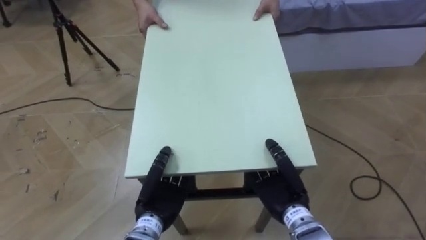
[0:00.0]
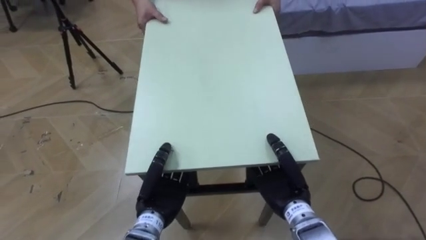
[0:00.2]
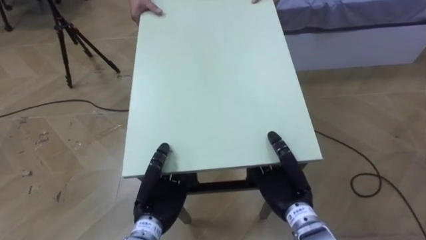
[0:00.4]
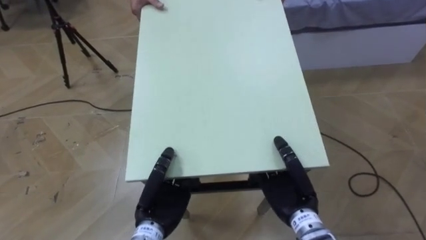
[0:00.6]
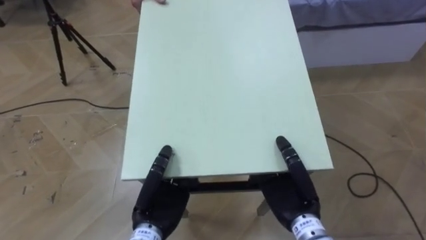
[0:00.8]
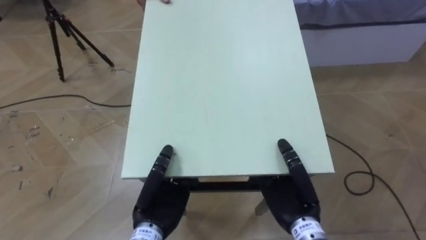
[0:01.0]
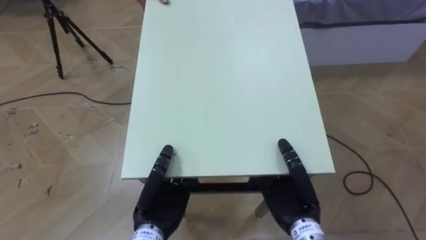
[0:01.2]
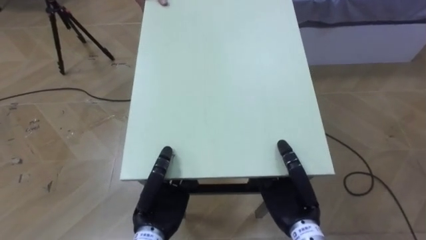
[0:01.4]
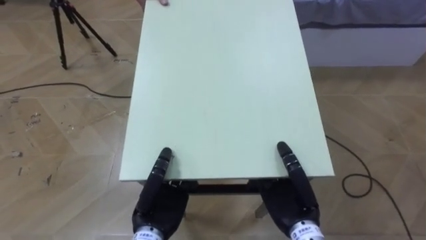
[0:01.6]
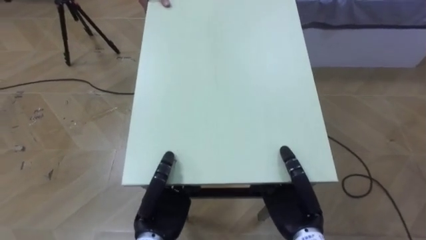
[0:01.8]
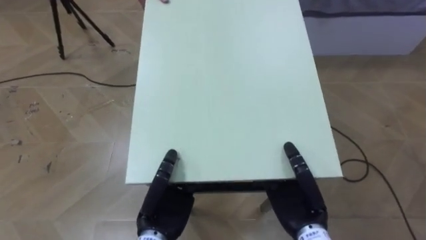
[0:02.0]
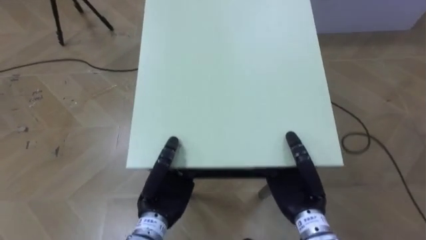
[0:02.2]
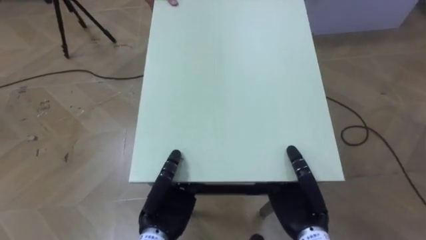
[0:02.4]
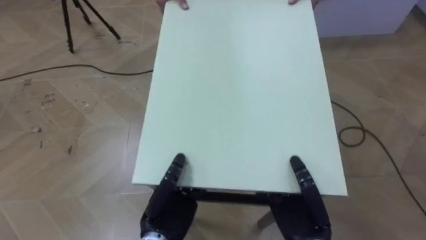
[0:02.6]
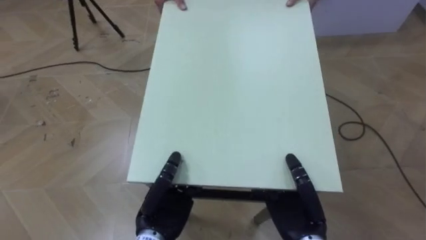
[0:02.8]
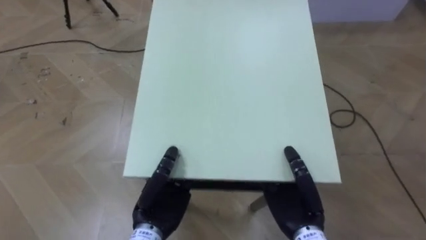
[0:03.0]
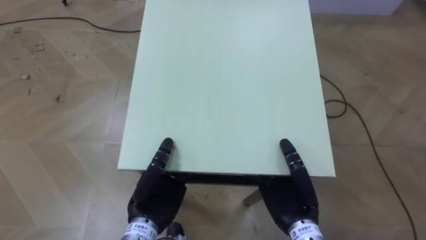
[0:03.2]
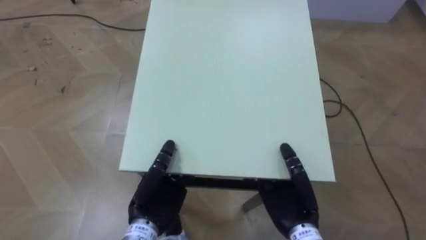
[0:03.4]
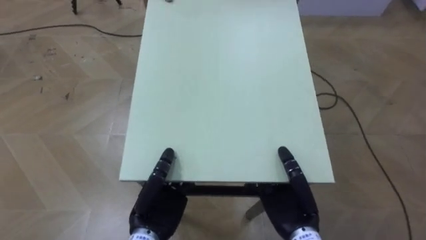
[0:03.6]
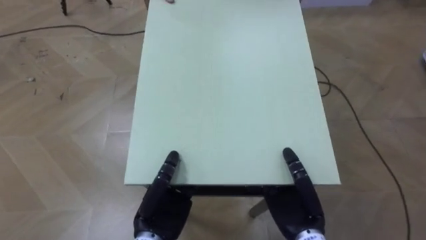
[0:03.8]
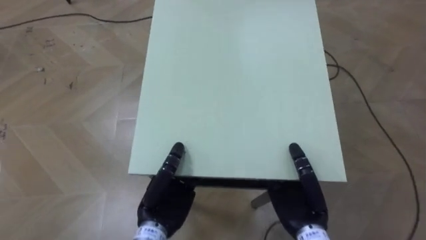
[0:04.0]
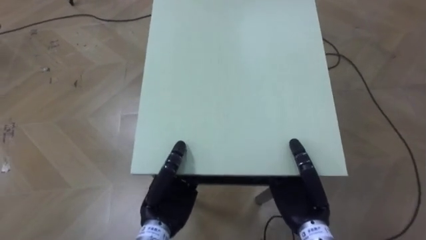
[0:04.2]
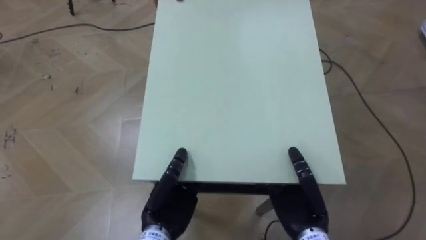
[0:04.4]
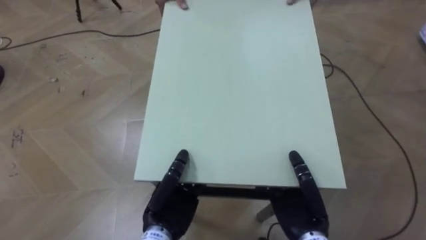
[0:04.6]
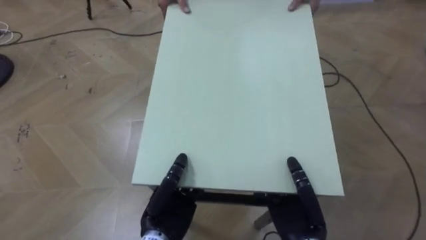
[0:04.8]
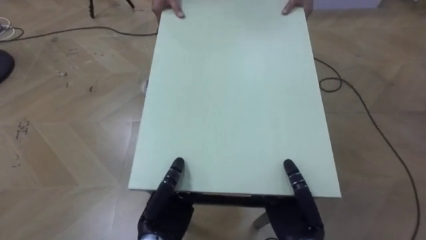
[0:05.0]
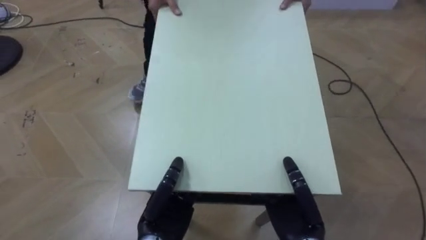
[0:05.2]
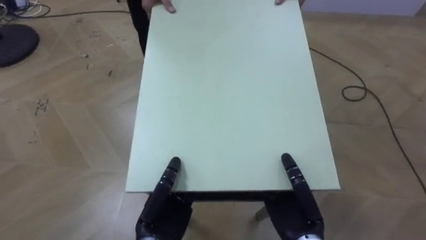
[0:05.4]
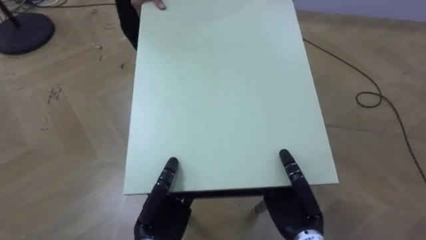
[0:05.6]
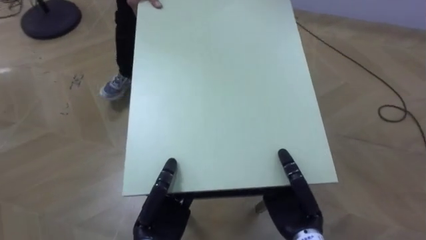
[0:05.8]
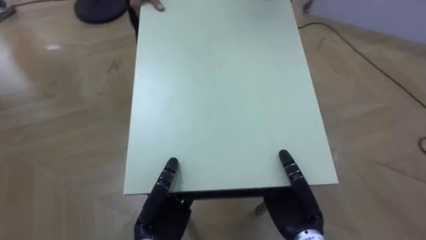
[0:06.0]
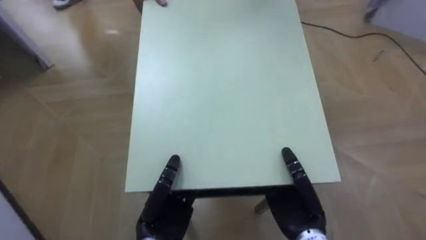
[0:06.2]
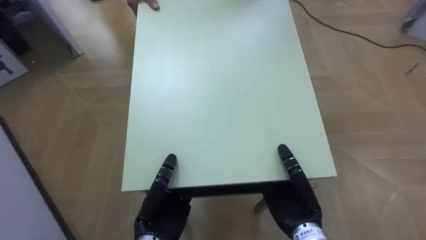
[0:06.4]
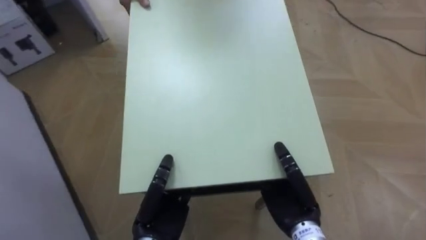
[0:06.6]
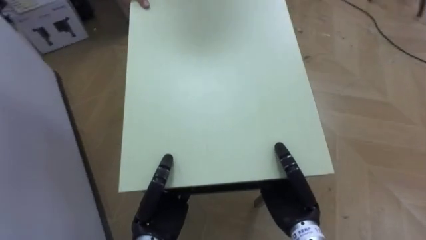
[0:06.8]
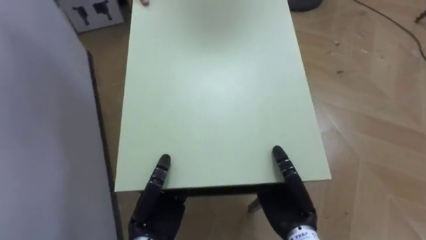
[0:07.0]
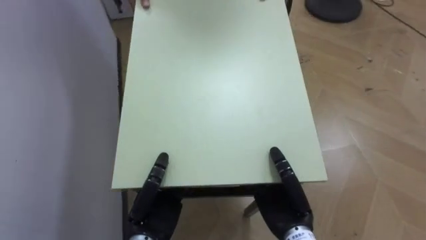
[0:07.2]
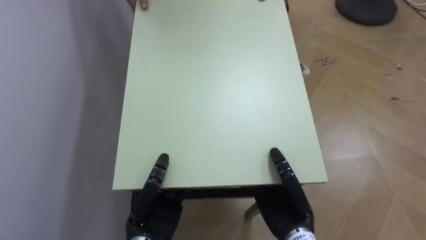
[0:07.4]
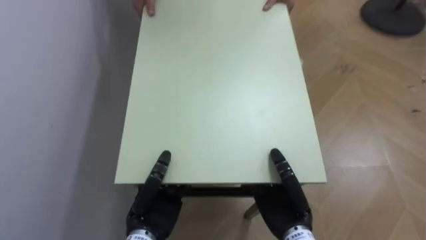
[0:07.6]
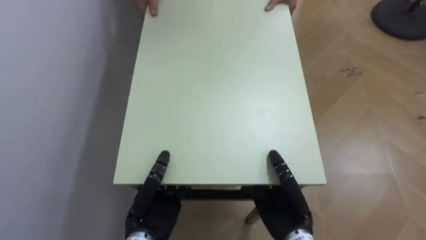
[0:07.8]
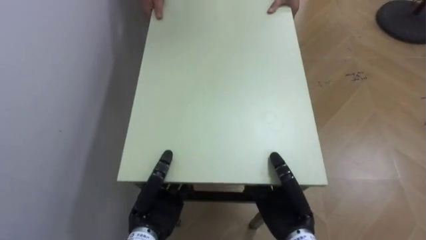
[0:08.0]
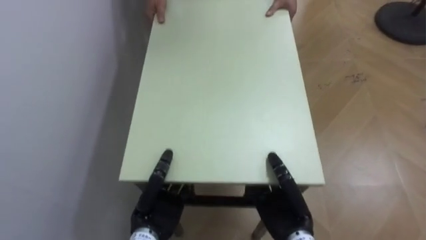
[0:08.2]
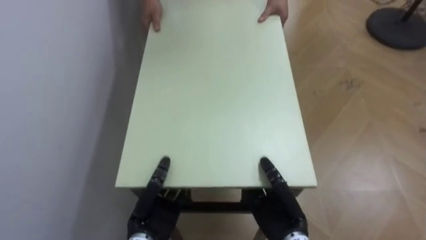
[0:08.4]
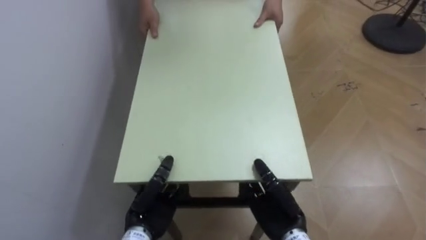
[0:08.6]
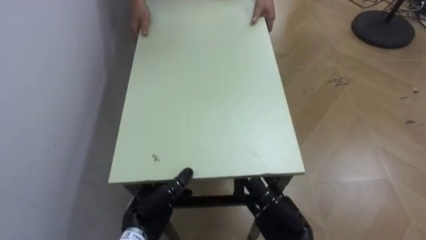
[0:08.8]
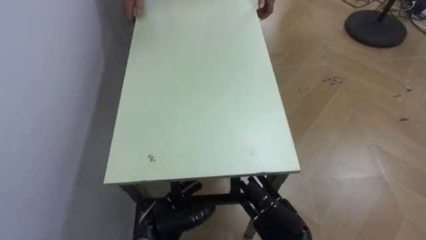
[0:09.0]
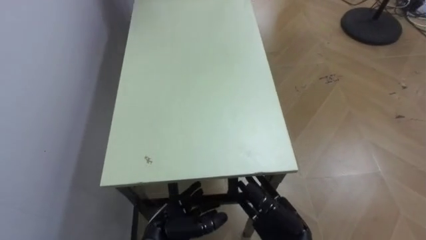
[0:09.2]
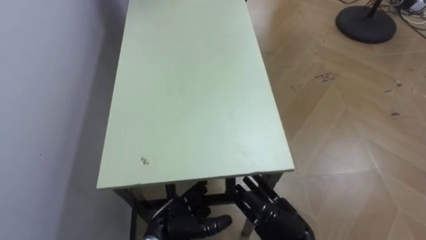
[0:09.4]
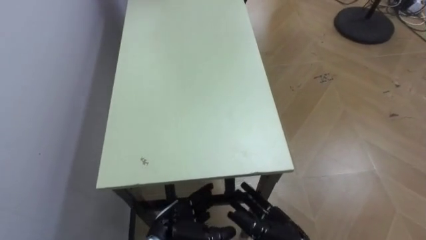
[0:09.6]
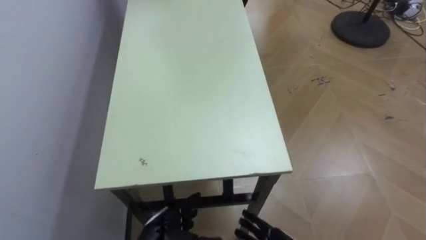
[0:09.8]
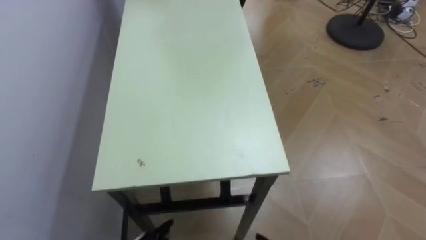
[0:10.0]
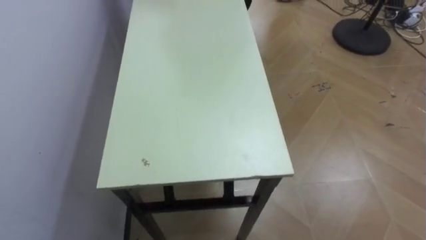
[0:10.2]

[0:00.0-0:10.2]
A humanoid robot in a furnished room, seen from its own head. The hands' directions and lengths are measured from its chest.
Task of the whole recording: Move the table to the back left with someone.
0:05.8 to 0:07.2: The robot's body swings about 65 degrees to its left.
0:07.2 to 0:08.8: The right hand changes place by roughly 5 cm, and opens.

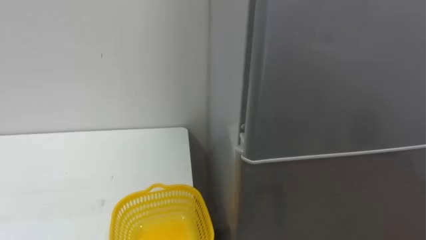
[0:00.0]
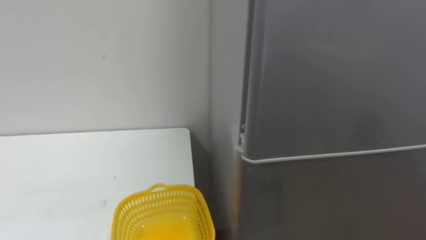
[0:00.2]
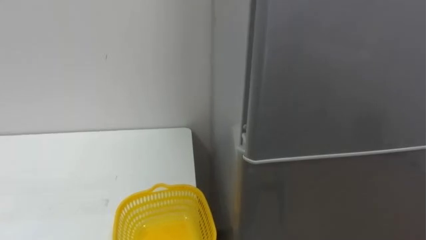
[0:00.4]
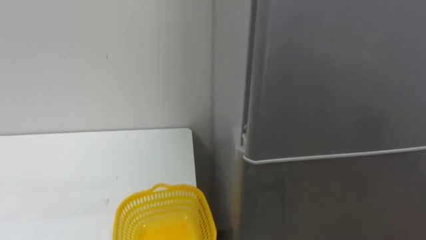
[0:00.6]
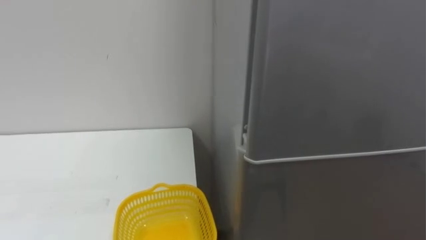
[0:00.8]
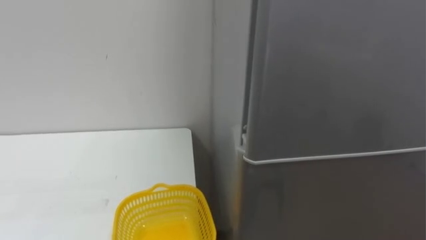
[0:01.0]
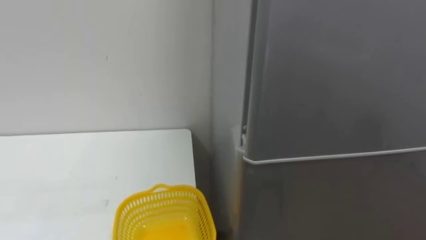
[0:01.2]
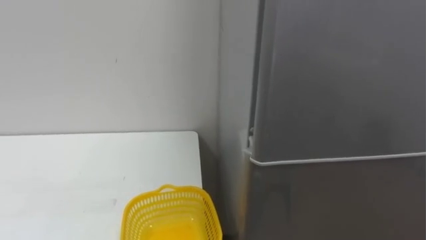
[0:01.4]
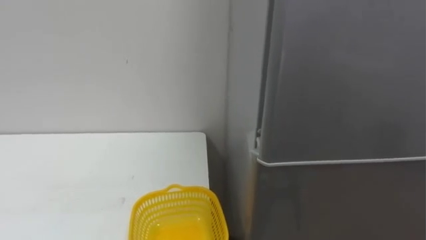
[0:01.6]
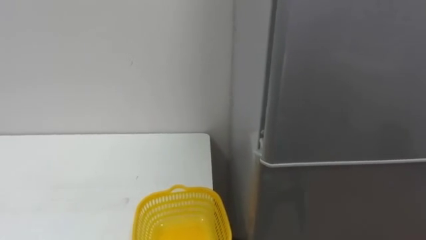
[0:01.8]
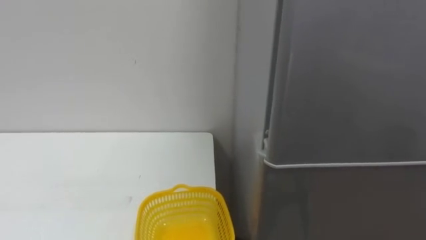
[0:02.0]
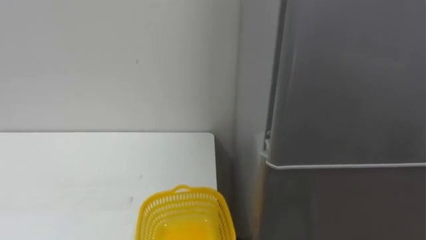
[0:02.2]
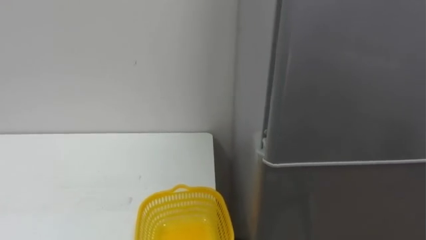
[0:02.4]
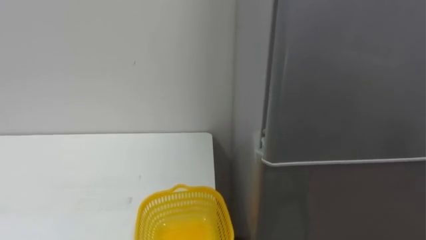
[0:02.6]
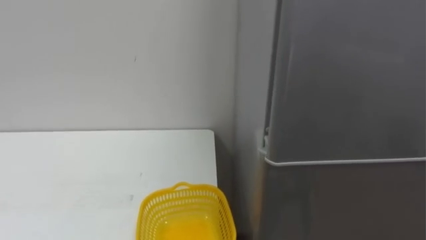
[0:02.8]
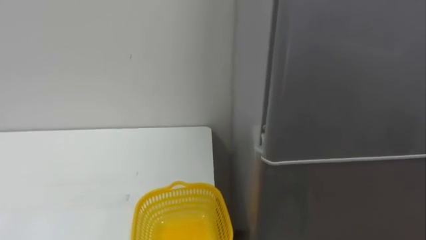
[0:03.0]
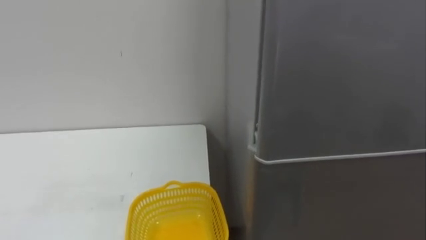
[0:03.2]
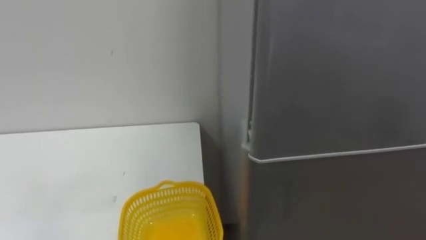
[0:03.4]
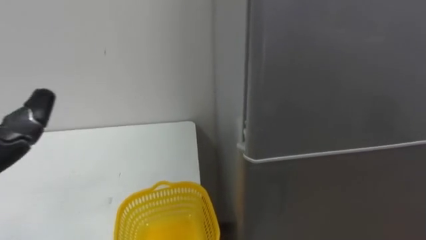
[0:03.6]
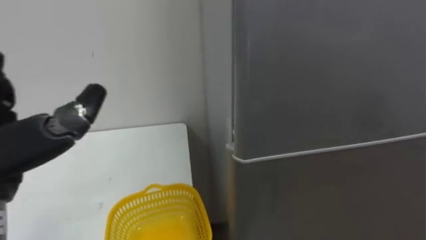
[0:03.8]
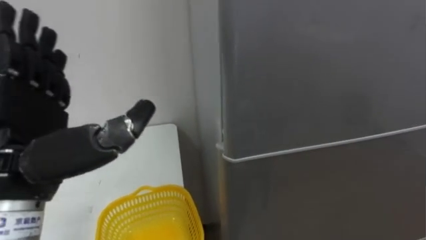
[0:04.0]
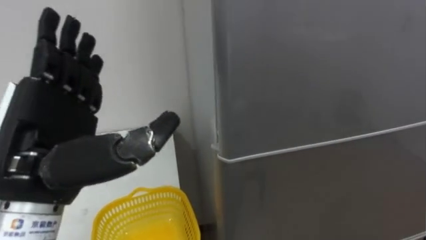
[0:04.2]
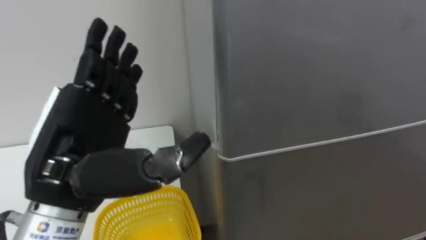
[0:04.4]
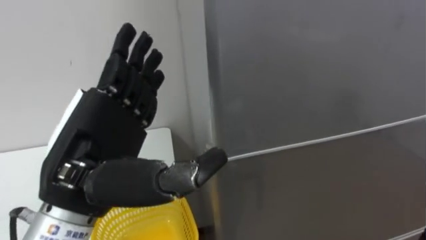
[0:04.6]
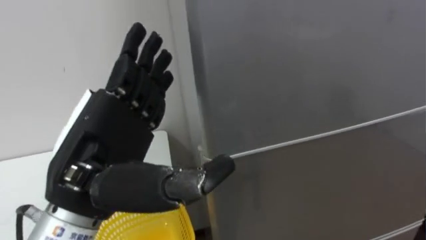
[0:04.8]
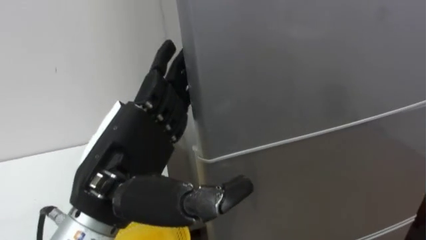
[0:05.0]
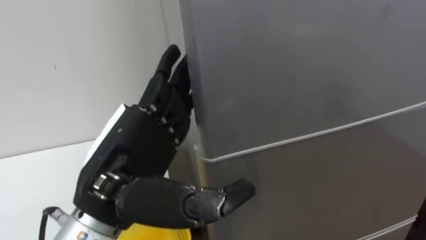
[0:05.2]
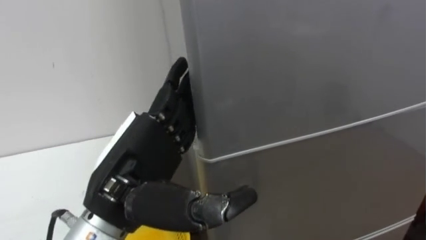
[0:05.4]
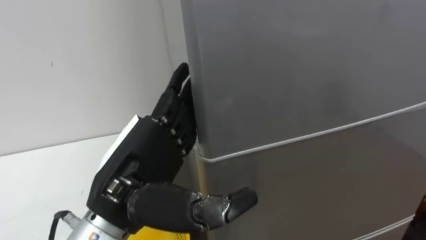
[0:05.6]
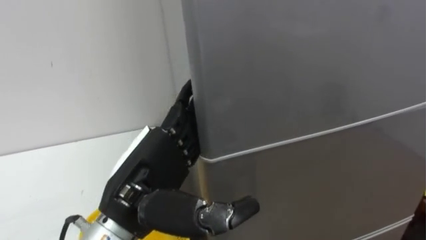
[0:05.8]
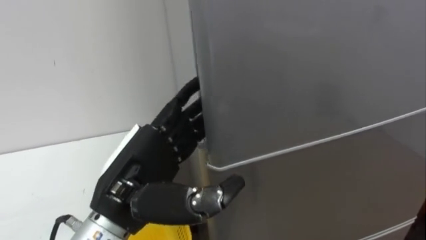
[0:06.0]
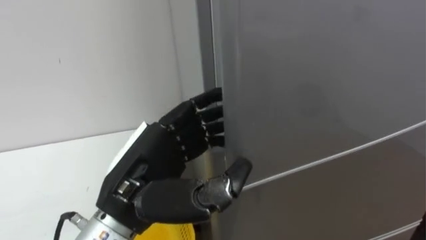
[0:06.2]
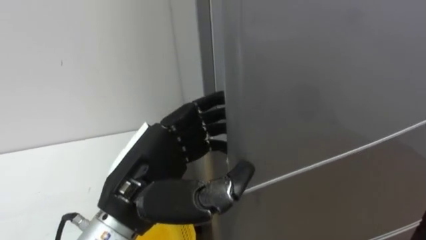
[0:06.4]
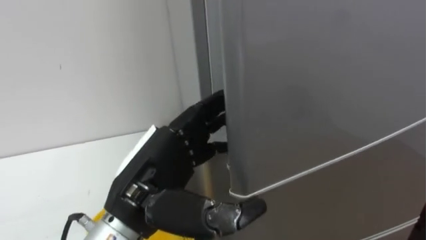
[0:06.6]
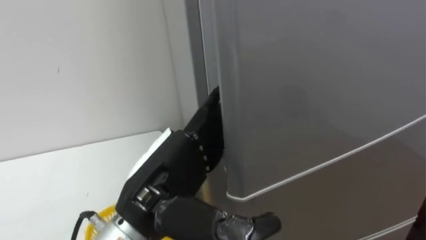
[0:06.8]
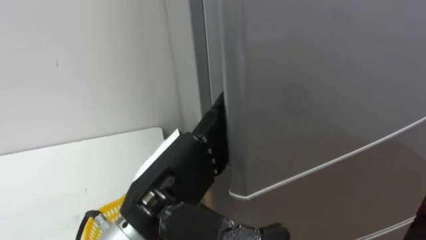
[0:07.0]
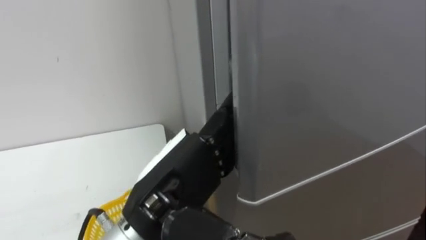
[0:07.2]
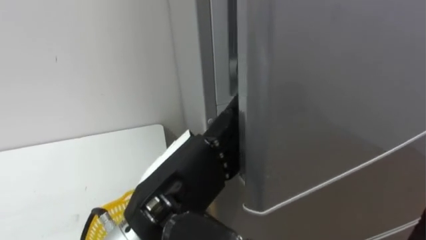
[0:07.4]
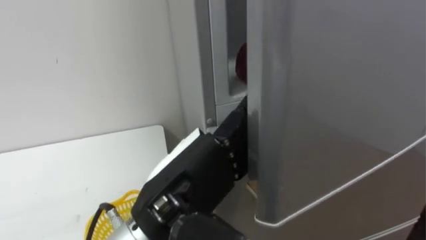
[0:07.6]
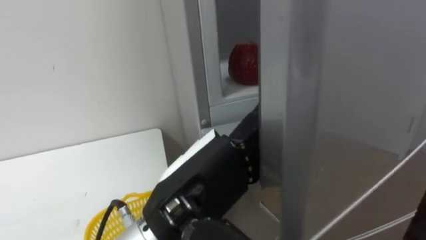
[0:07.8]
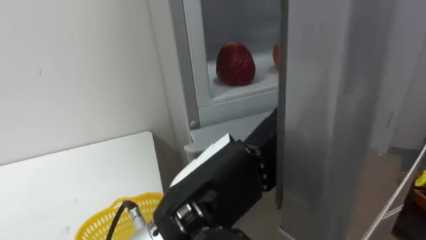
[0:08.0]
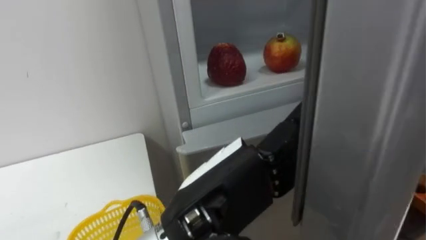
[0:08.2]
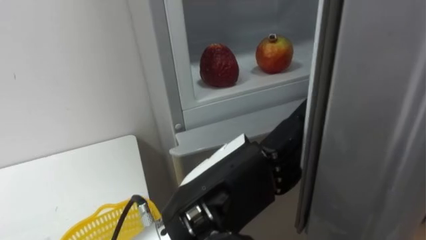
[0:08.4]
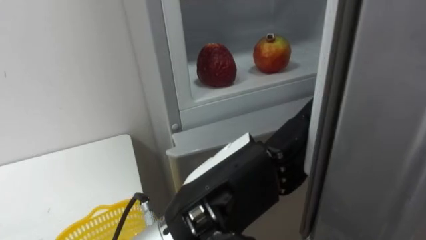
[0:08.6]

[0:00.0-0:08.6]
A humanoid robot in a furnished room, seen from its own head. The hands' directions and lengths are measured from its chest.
Task of the whole recording: Open the refrigerator door, take out the apple and the pomegranate, place them in the fruit basket on the left, and close the refrigerator door.
0:04.4 to 0:05.8: The left hand heads to the right and downward, covering about 10 cm.
0:05.8 to 0:07.2: The left hand closes, then opens again.
0:07.2 to 0:08.6: The left hand moves to the right, about 5 cm.
